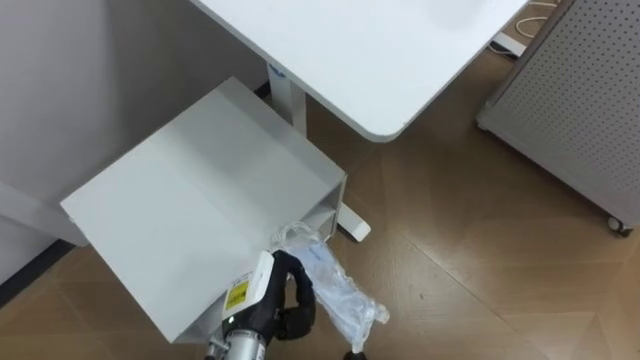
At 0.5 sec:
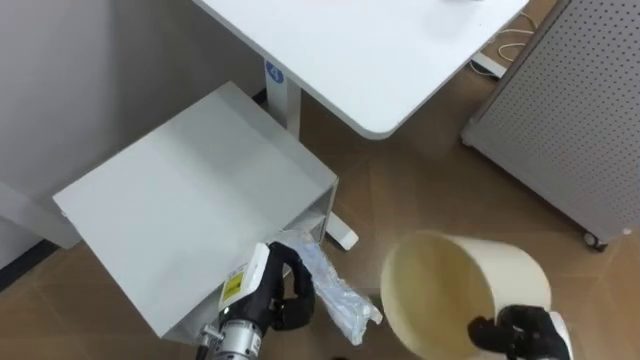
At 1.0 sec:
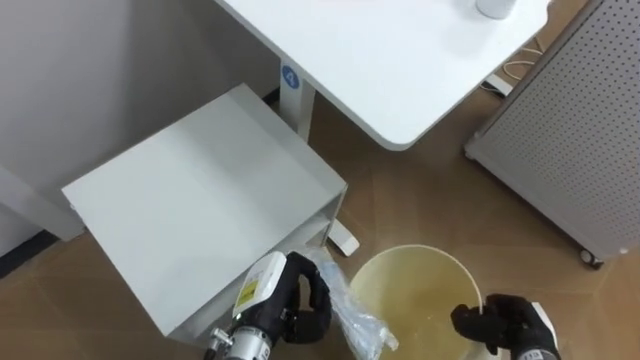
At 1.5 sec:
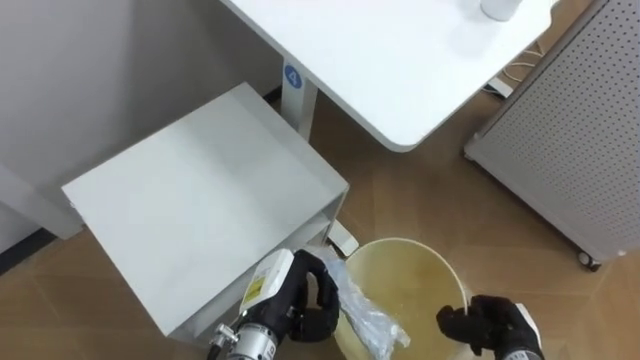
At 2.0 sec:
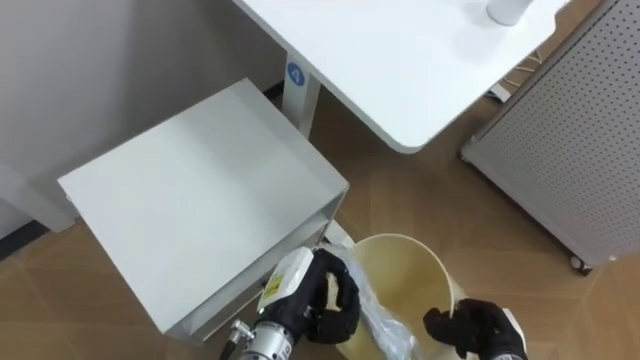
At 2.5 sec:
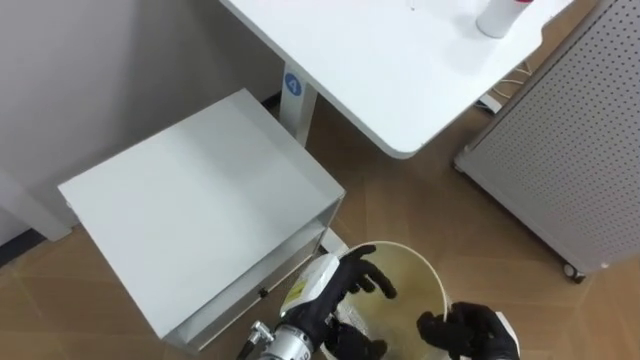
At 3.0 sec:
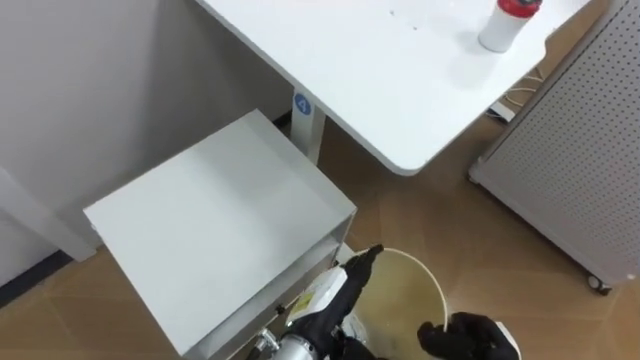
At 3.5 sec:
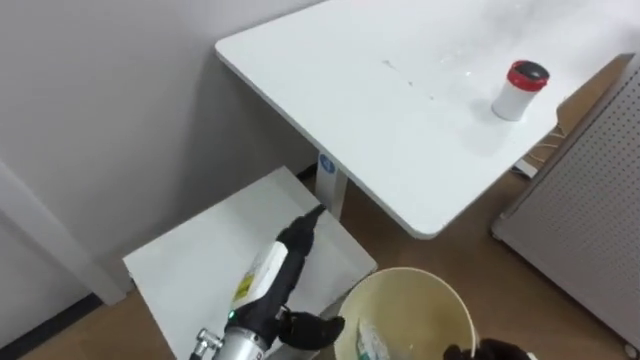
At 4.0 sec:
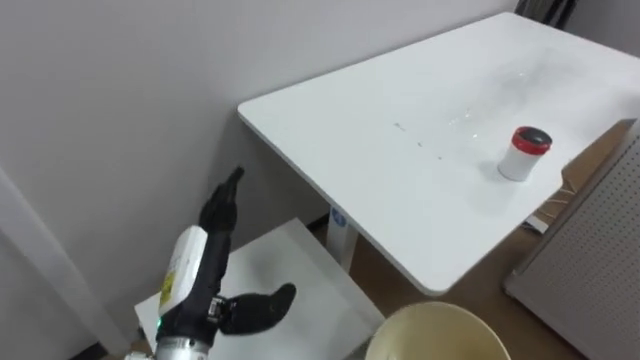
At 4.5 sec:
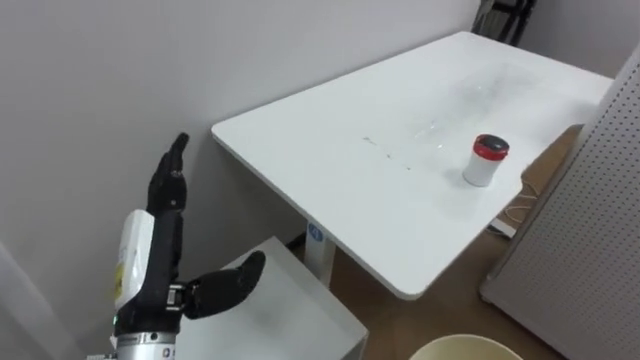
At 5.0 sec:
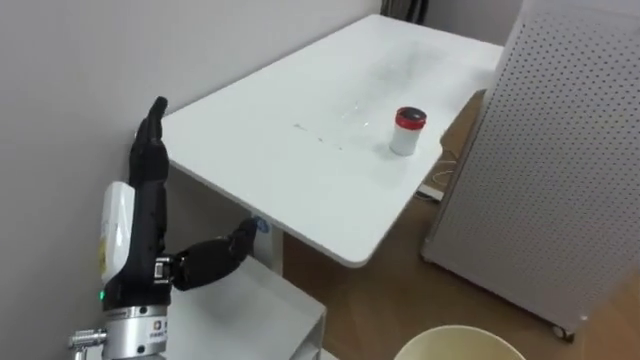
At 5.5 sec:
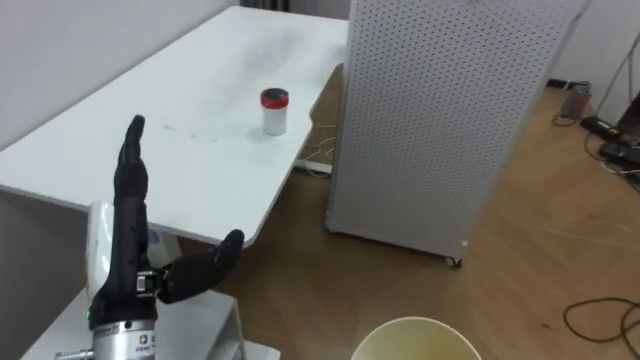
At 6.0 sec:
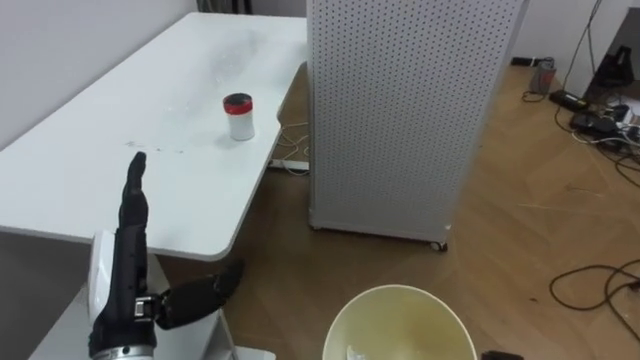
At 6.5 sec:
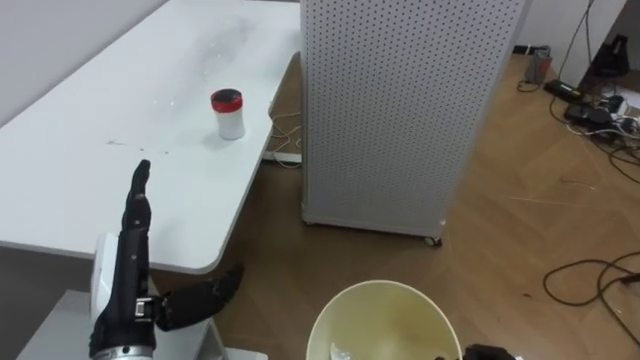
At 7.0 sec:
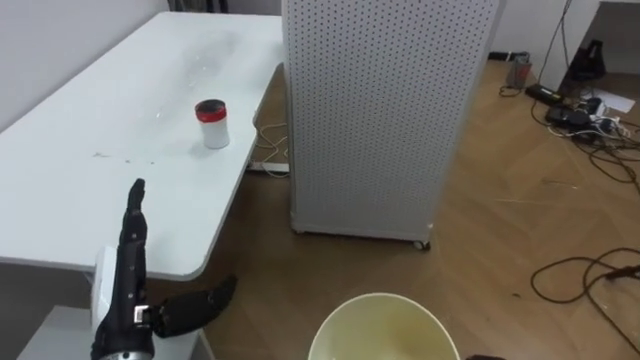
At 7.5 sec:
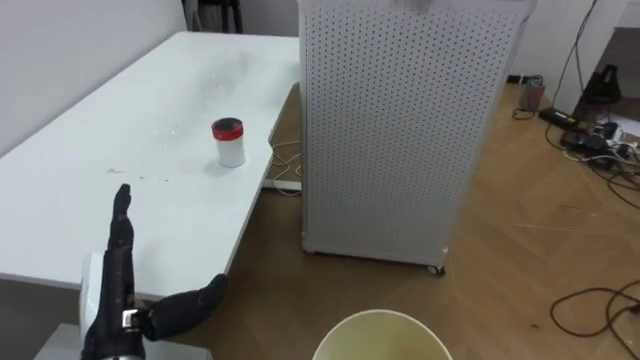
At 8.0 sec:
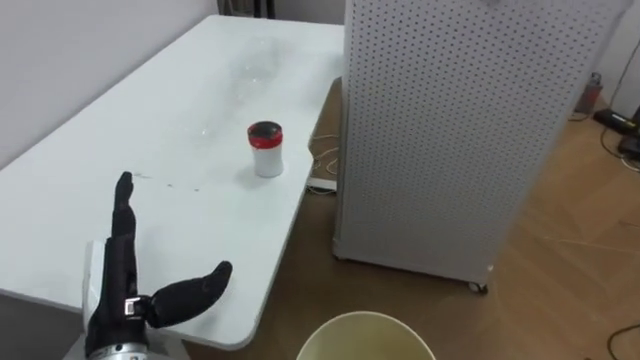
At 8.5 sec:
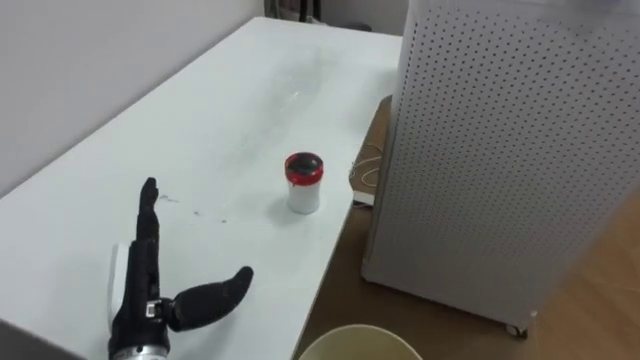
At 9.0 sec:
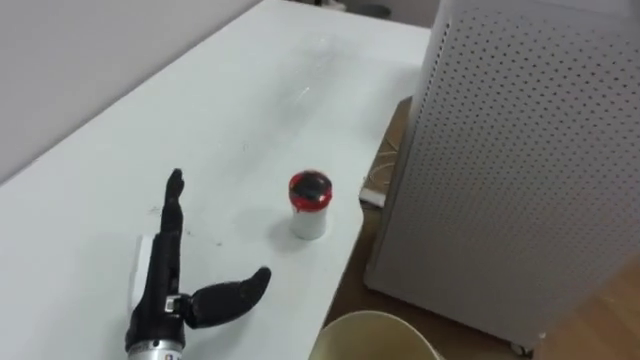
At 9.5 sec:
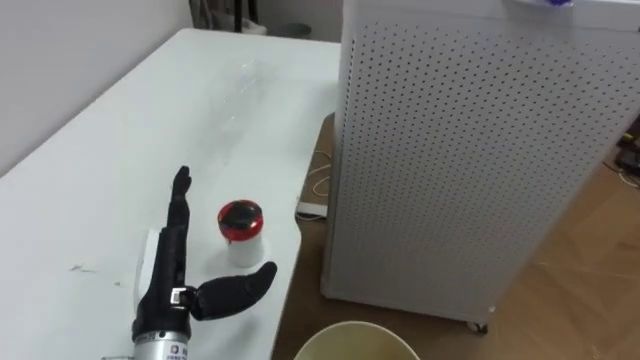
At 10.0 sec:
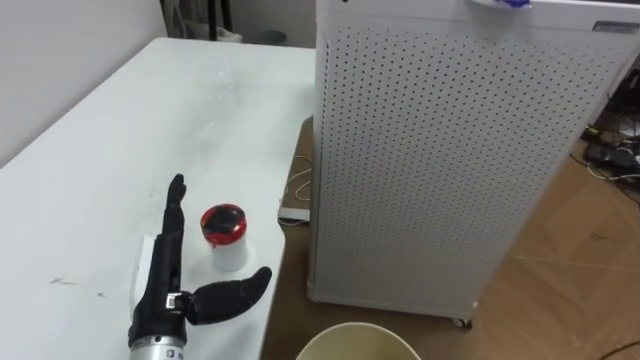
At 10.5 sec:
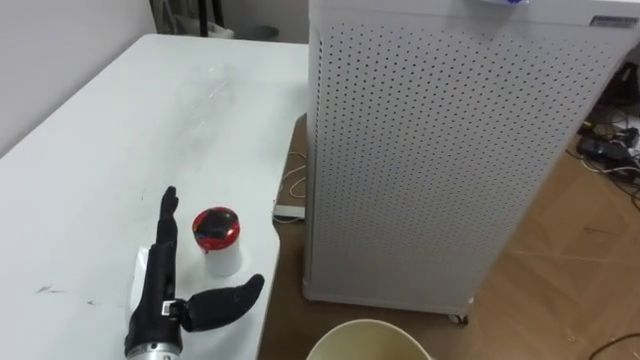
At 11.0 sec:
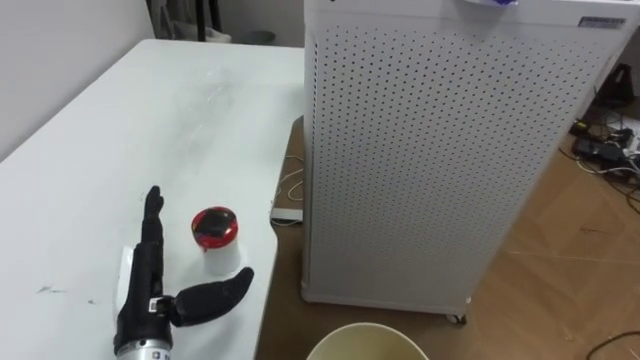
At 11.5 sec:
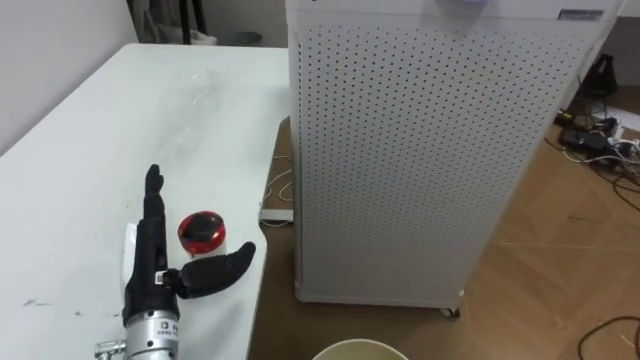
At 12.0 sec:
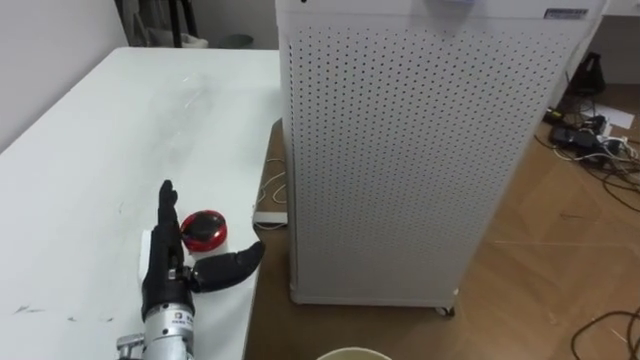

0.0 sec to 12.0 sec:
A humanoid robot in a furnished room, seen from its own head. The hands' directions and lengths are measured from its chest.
Task of the whole recording: Pick up the light blue package, the candy box, and the dark blue package separately, and put them into the trash can held in your right hand.
2.0 sec to 4.0 sec: The left hand shifts some 15 cm to the left and upward, and opens.
4.0 sec to 6.0 sec: The robot rotates roughly 45 degrees to its right. The left hand moves to the left, about 5 cm.

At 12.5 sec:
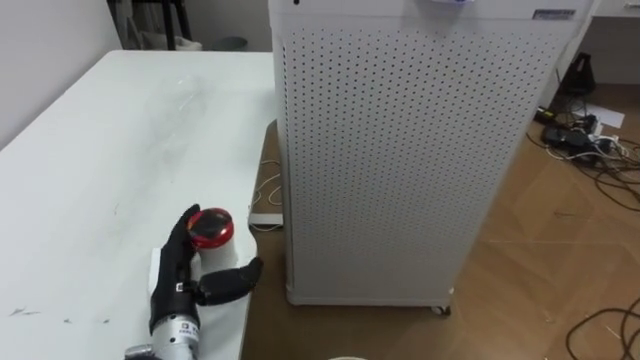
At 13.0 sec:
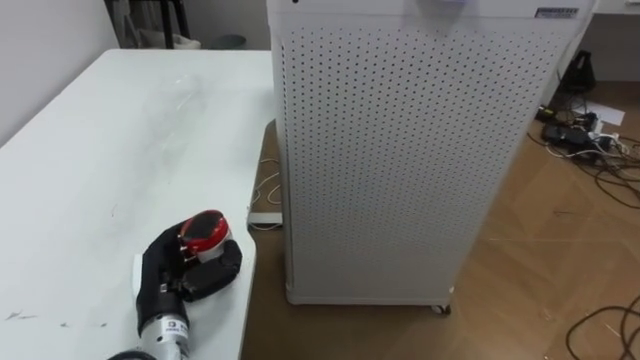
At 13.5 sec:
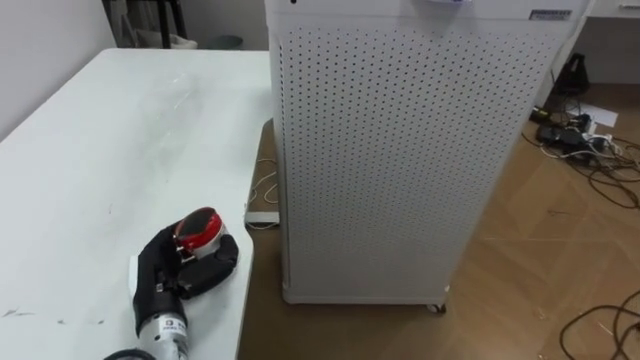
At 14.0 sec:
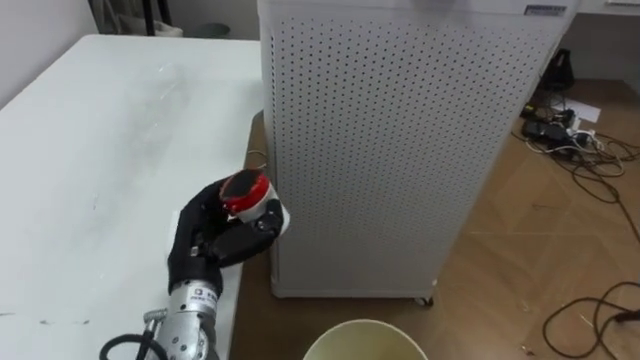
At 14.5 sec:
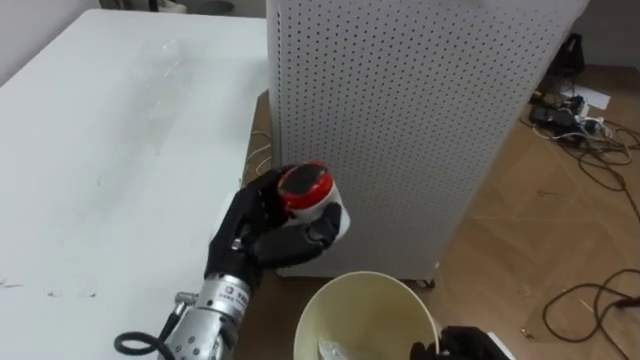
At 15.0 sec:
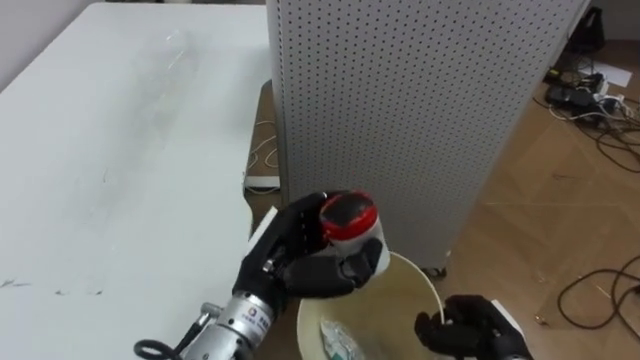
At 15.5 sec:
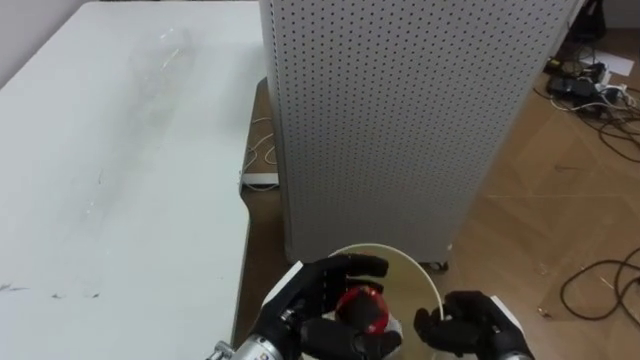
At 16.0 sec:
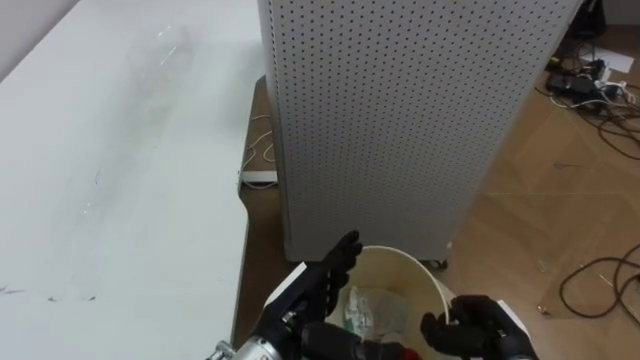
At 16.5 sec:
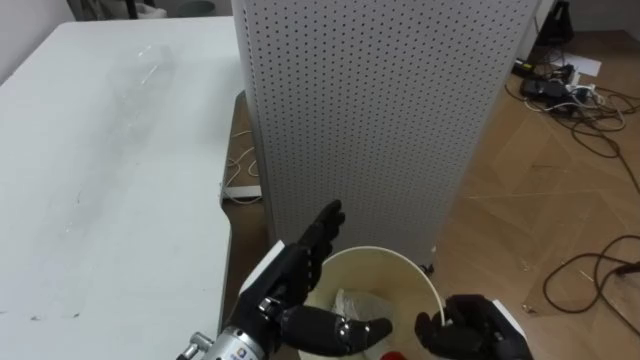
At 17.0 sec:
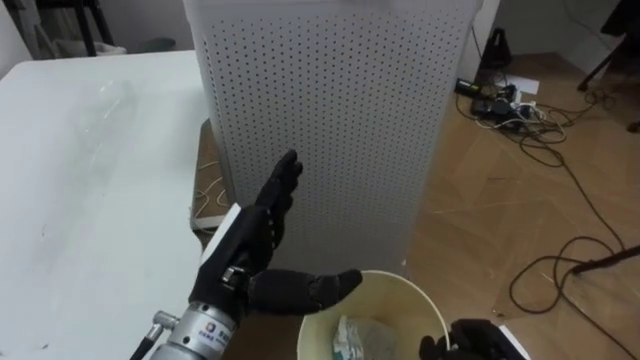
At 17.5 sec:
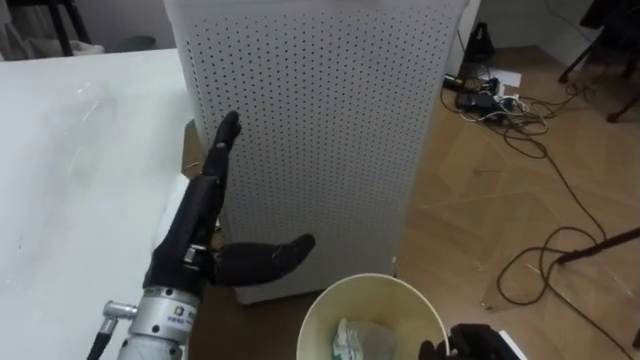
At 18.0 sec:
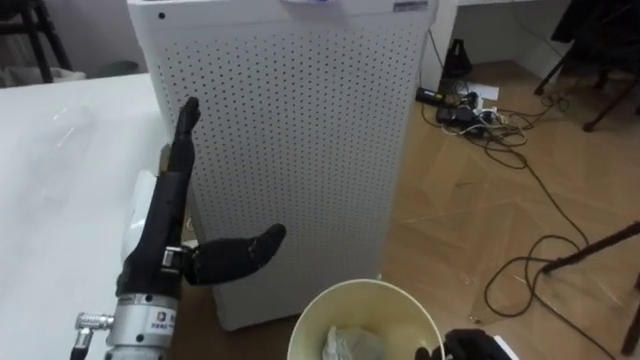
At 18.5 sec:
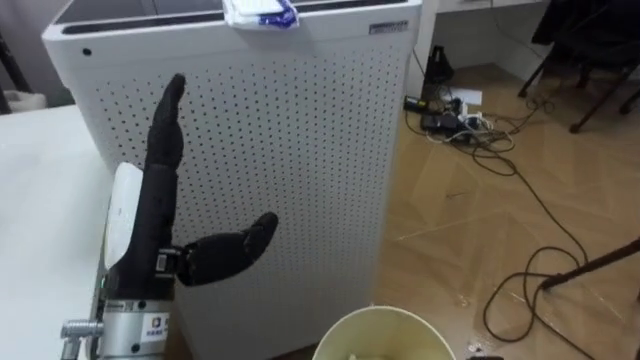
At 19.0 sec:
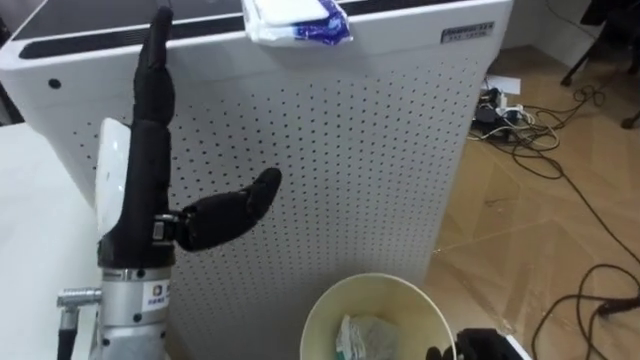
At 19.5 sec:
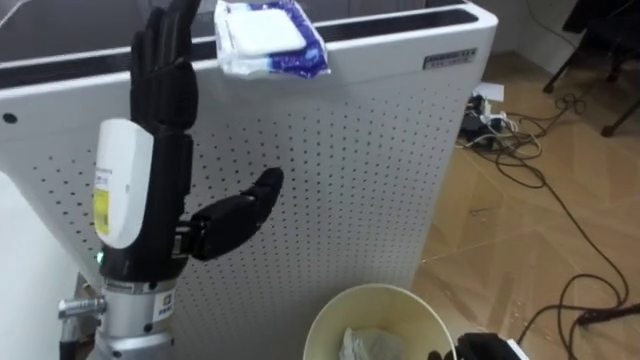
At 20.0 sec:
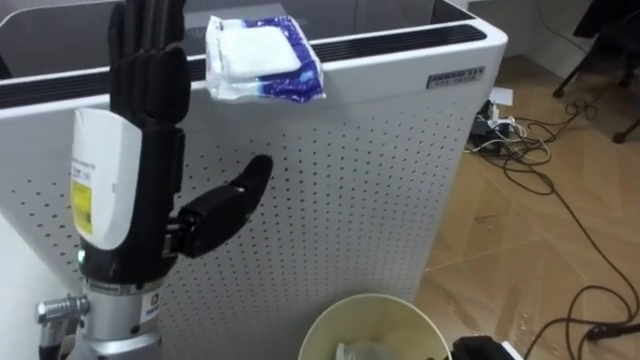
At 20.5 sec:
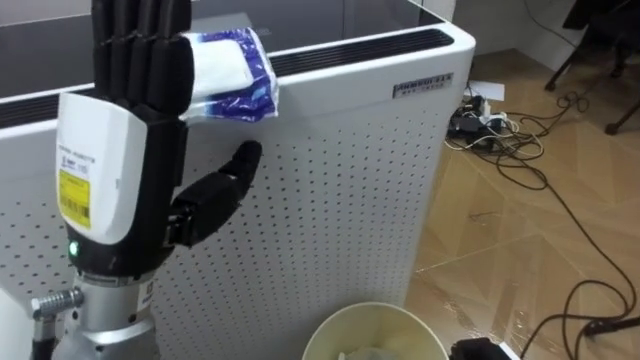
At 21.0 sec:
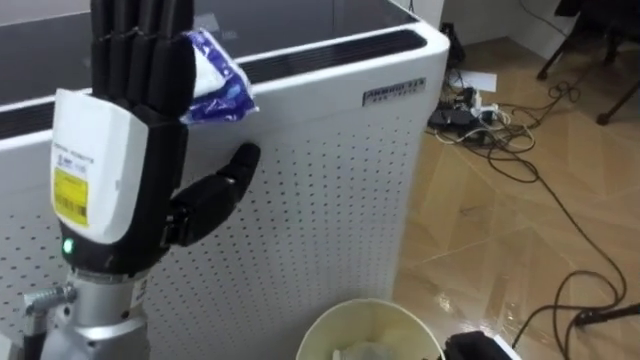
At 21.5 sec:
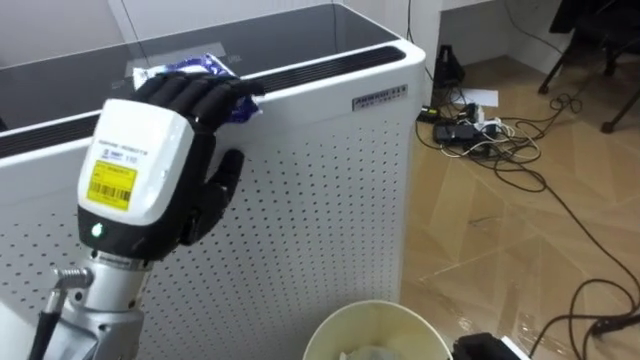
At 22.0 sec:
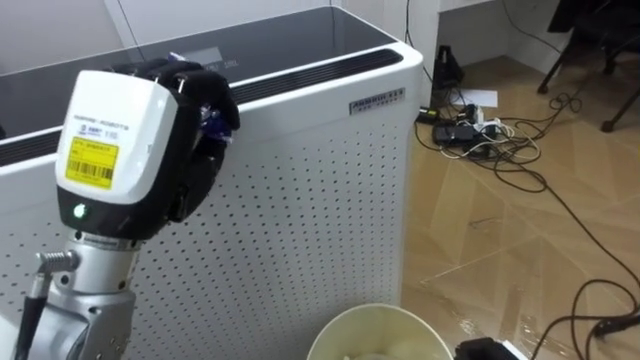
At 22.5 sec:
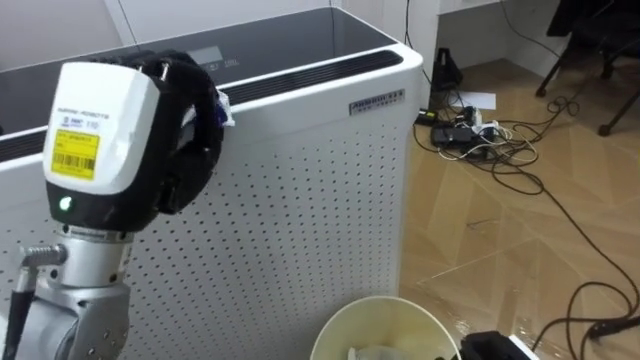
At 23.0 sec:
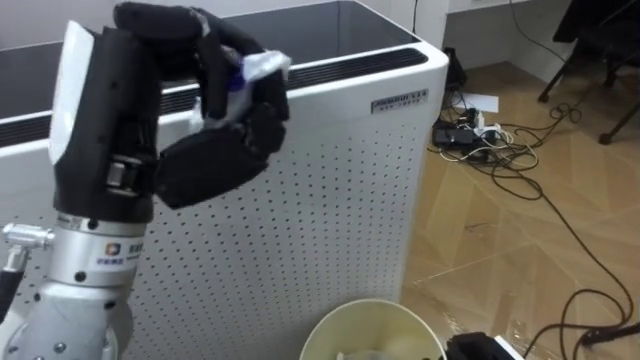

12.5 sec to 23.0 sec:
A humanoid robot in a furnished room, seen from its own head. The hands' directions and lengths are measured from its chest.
Task of the whole recording: Pick up the light blue package, the candy box, and the dark blue package separately, and put them into the trash can held in your right hand.
12.5 sec to 14.5 sec: The left hand travels upward and to the right by approximately 10 cm, and closes.
14.5 sec to 16.5 sec: The left hand shifts some 5 cm backward, and opens its fingers.
16.5 sec to 19.0 sec: The left hand is displaced upward and to the left by approximately 20 cm.
19.0 sec to 21.0 sec: The left hand moves approximately 5 cm.
21.0 sec to 23.0 sec: The left hand closes.
